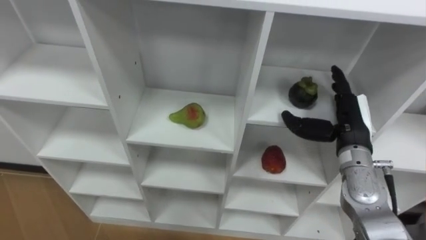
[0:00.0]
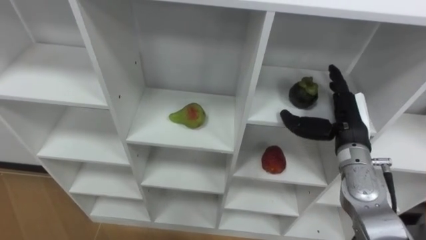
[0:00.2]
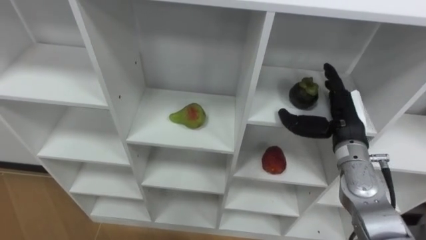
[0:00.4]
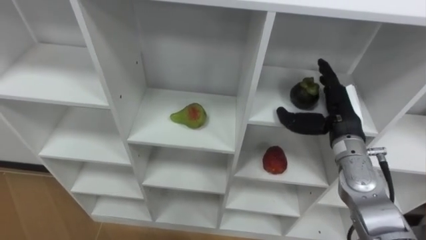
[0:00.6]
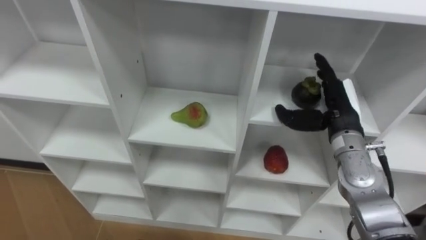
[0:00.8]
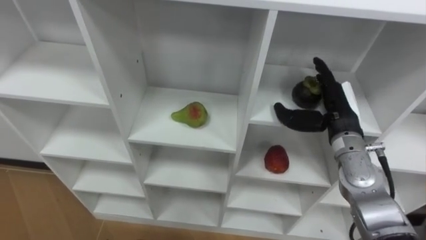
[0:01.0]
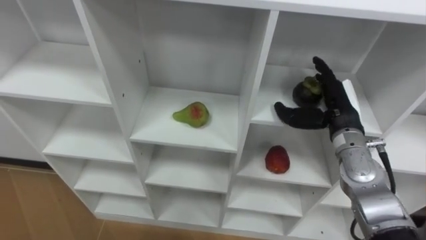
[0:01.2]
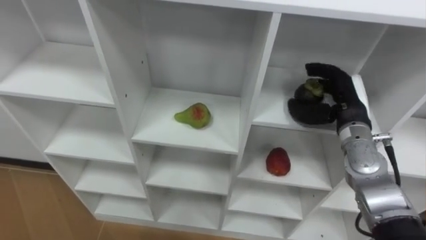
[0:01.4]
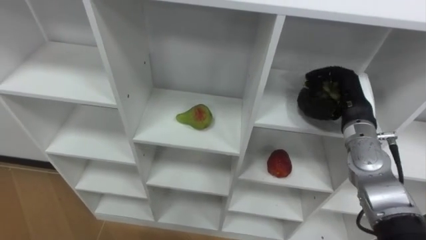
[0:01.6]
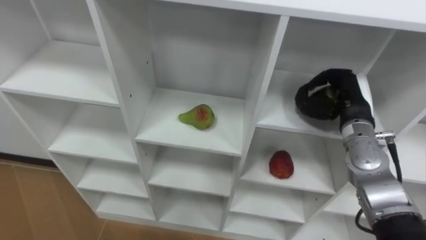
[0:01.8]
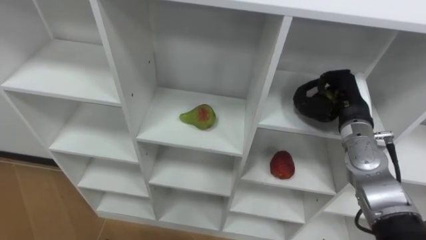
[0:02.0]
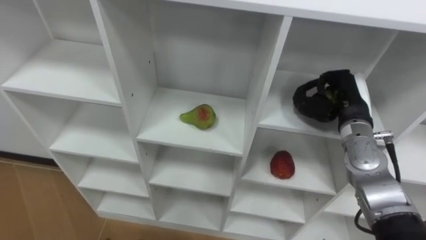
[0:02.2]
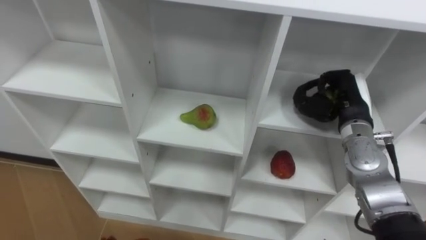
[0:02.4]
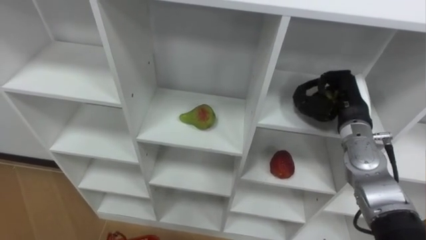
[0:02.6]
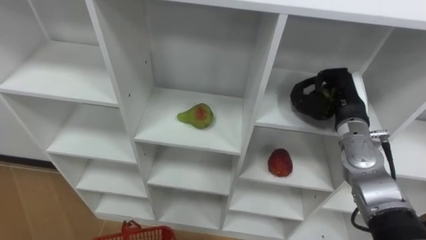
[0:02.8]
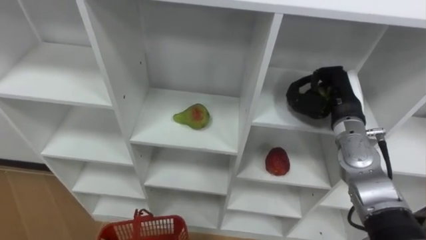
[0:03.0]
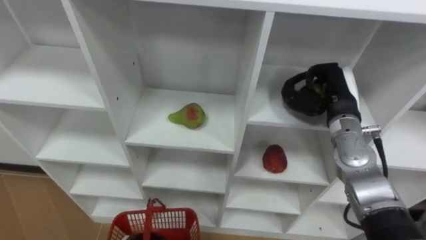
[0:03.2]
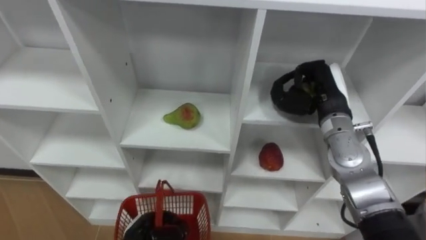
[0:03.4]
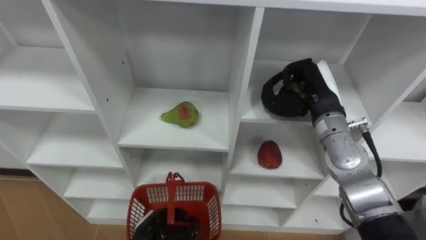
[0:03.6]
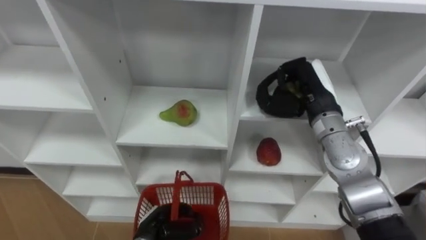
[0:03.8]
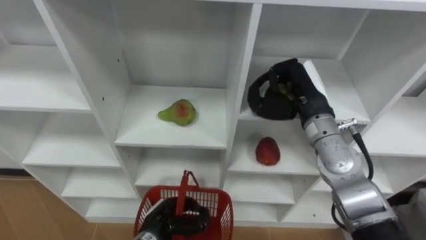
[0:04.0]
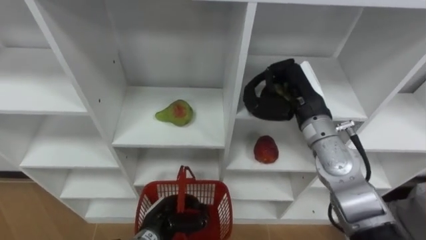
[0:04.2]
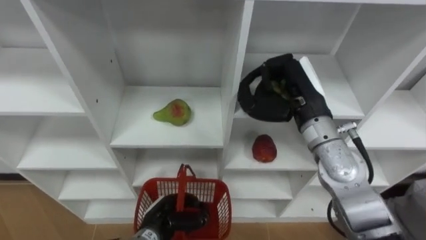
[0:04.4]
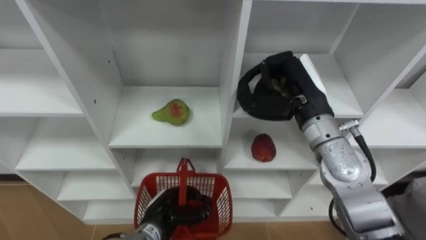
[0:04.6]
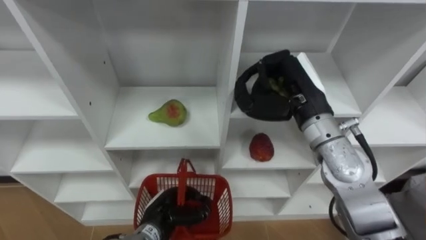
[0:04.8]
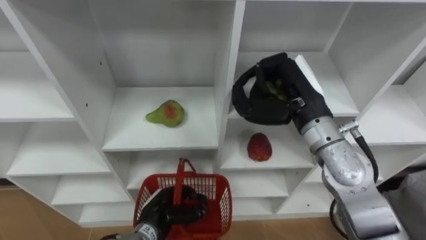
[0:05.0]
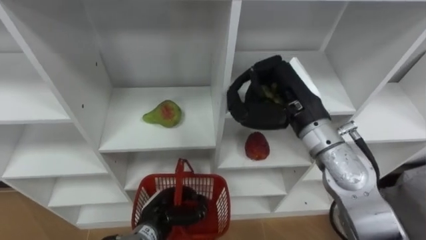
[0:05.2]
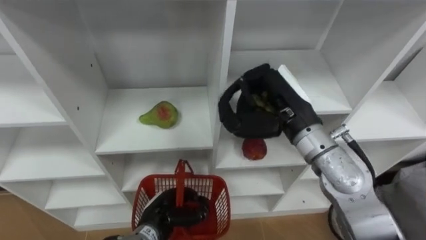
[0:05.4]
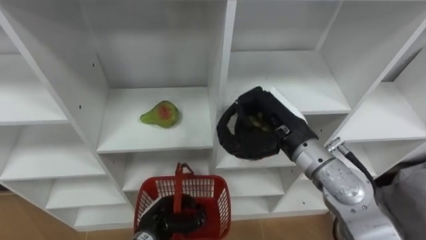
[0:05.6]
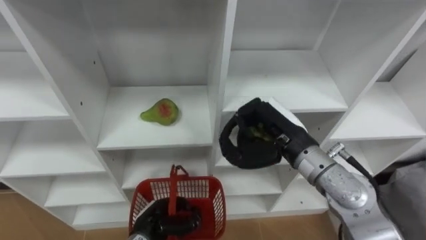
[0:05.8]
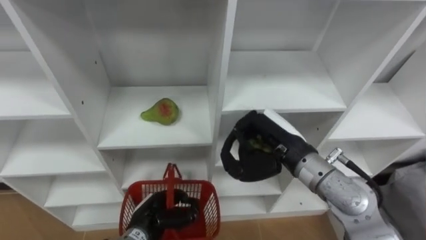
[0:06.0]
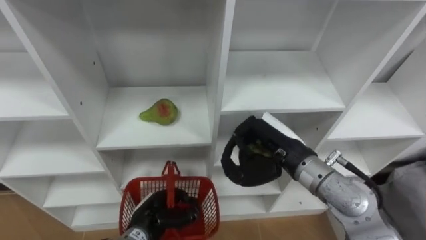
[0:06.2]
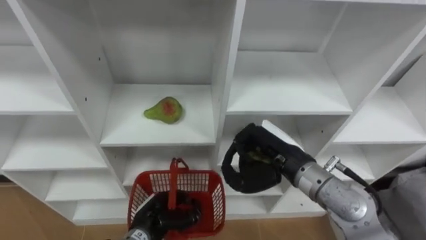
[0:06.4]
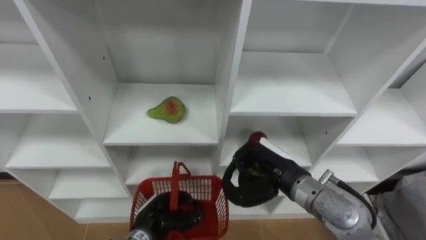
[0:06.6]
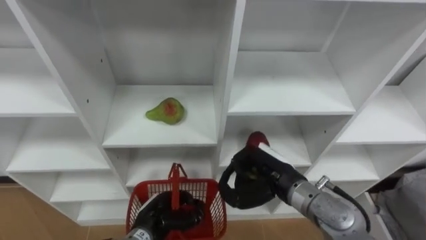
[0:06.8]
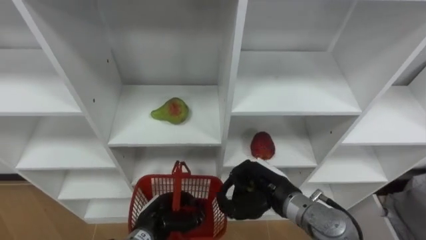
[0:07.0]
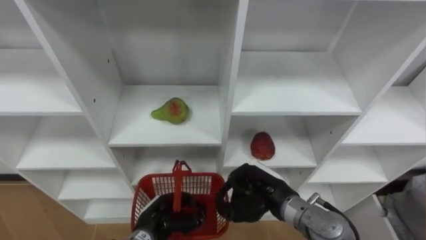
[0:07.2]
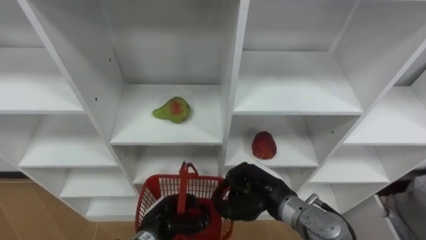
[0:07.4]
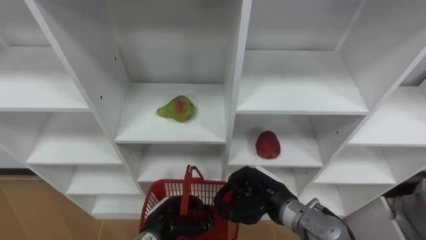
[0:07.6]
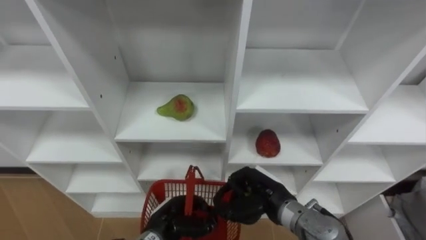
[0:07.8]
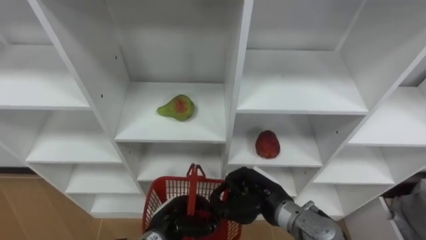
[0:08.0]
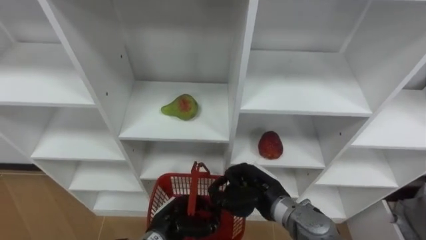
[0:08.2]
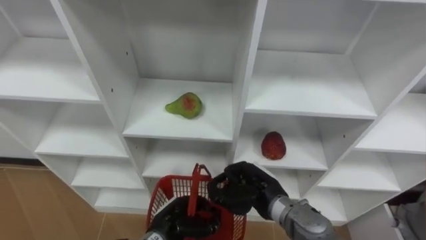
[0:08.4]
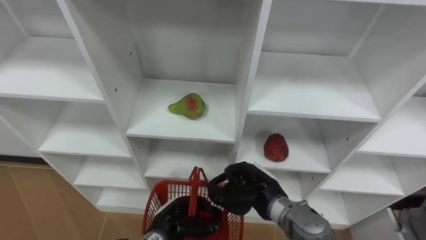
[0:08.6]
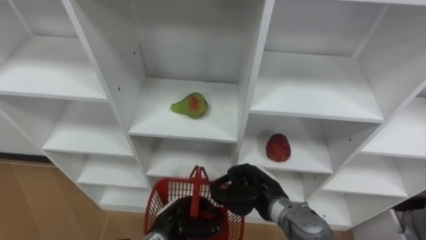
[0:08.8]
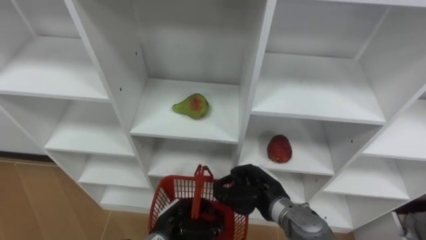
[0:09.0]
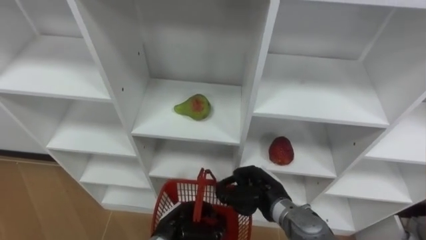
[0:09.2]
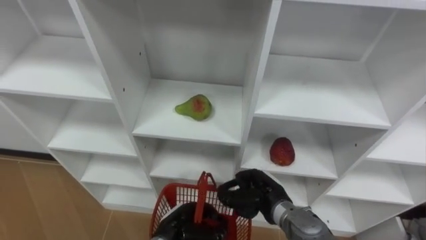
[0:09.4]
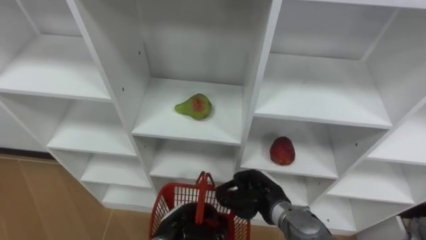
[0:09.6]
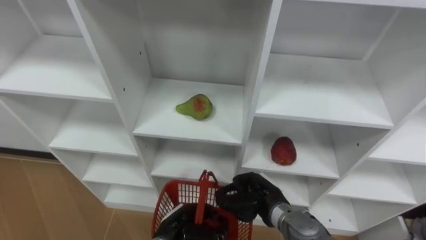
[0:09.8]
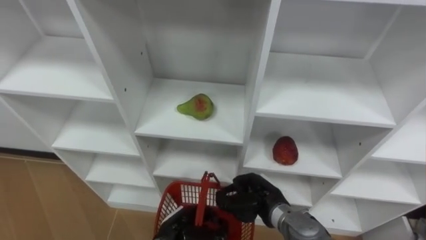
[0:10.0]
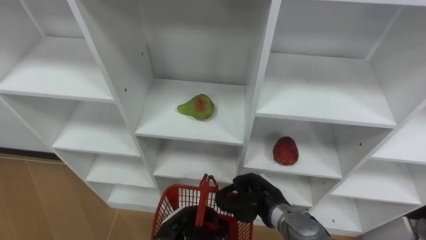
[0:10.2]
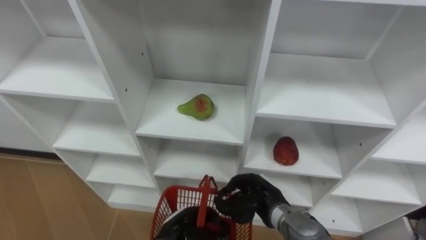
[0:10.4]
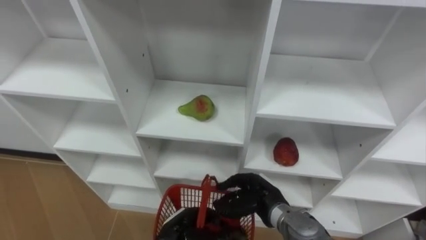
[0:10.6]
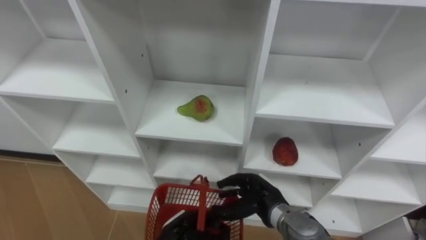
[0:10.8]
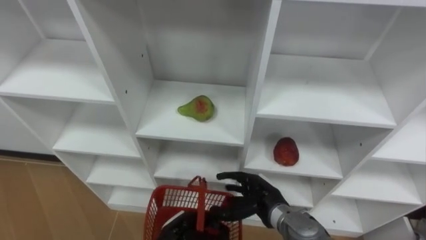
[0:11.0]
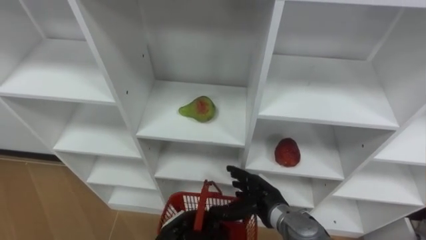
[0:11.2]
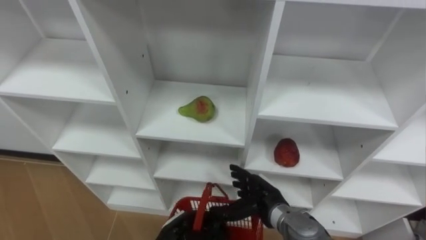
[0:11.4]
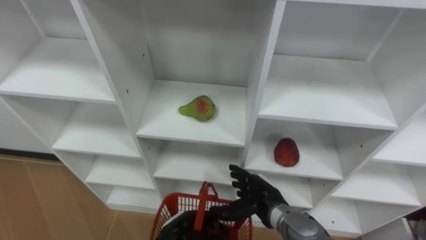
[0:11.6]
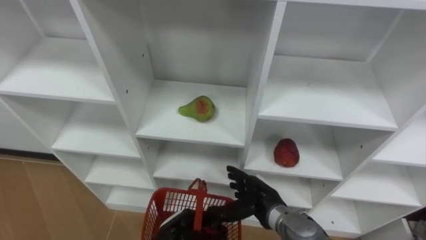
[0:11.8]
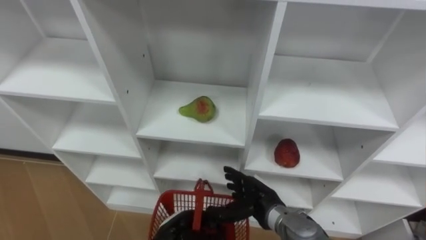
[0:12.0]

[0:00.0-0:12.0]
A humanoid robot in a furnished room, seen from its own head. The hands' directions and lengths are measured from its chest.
Task of the whole recording: Hold the basket and collect the fruits from 3 different cells of the closet into it.
0:00.0 to 0:01.6: The right hand closes.
0:03.0 to 0:04.4: The right hand shifts about 10 cm to the left and upward.
0:04.4 to 0:06.0: The right hand shifts some 5 cm backward.
0:06.0 to 0:07.6: The right hand shifts roughly 10 cm downward.
0:10.4 to 0:12.0: The right hand opens up.

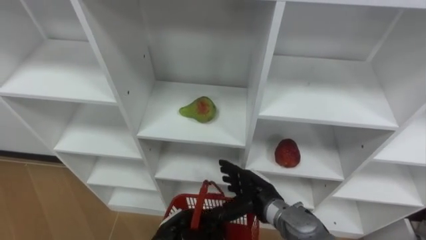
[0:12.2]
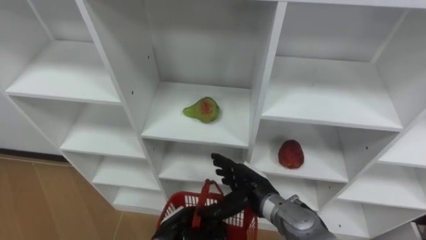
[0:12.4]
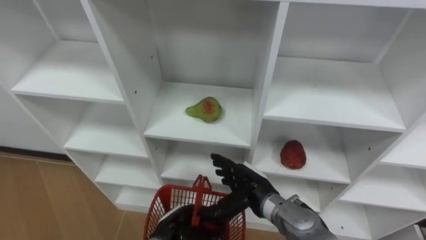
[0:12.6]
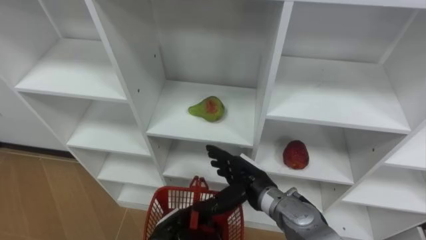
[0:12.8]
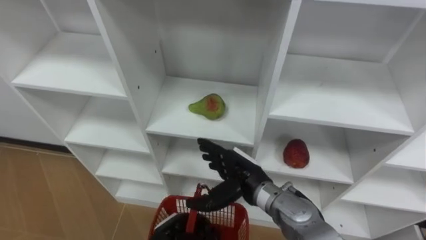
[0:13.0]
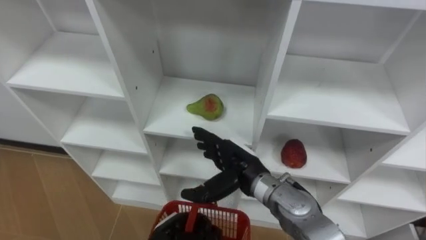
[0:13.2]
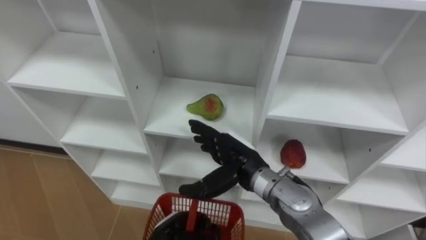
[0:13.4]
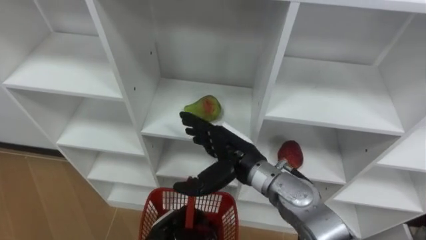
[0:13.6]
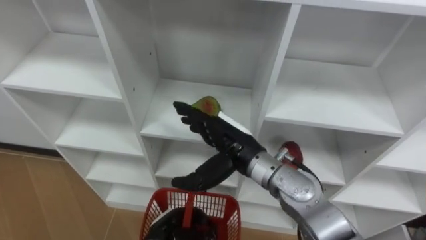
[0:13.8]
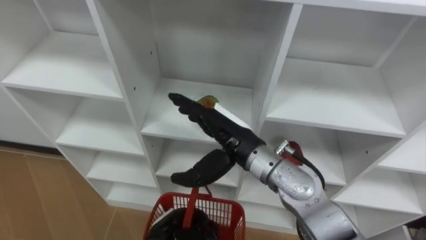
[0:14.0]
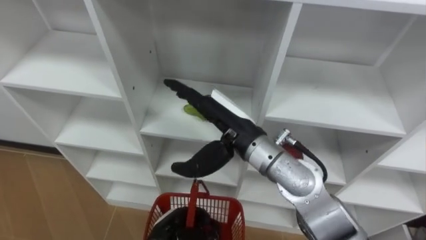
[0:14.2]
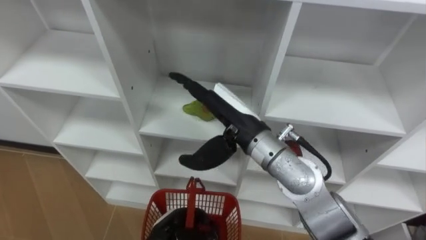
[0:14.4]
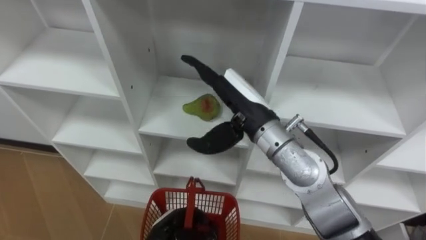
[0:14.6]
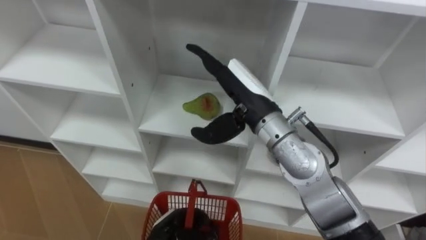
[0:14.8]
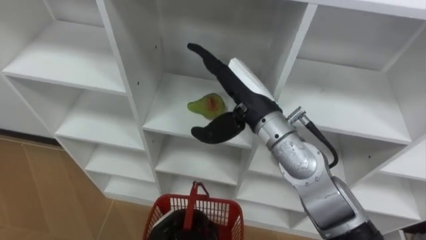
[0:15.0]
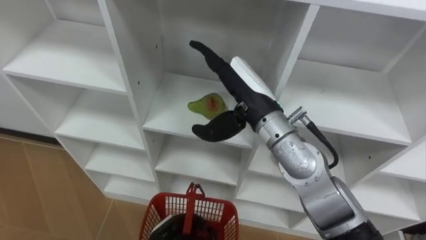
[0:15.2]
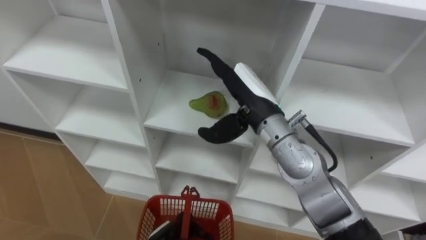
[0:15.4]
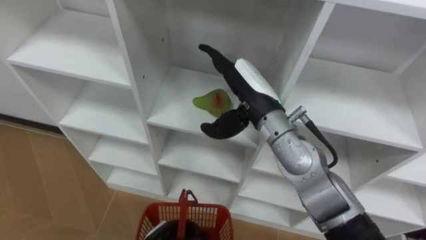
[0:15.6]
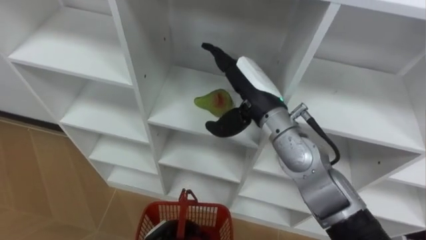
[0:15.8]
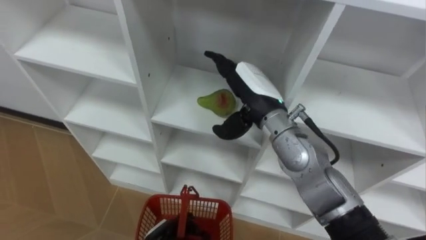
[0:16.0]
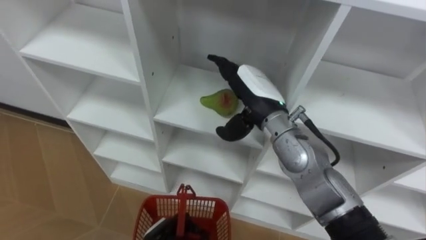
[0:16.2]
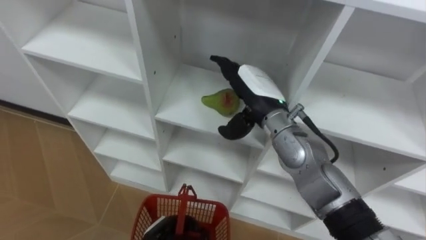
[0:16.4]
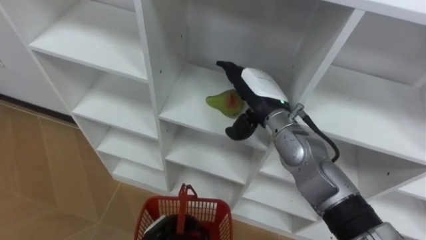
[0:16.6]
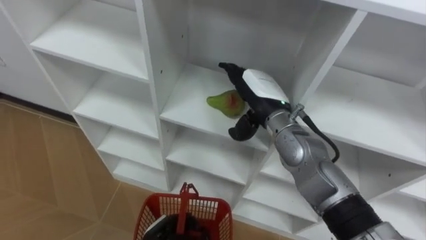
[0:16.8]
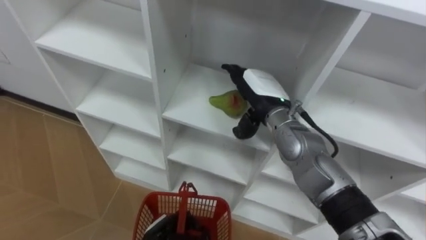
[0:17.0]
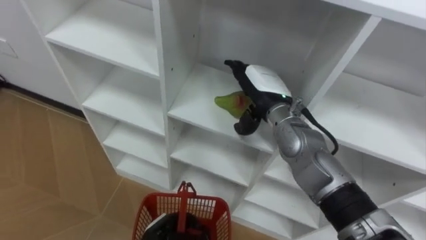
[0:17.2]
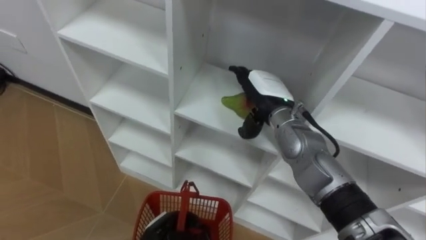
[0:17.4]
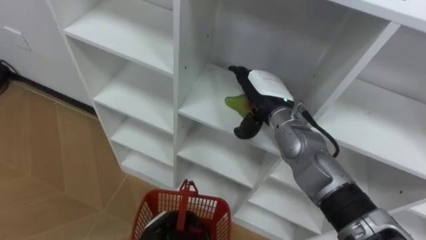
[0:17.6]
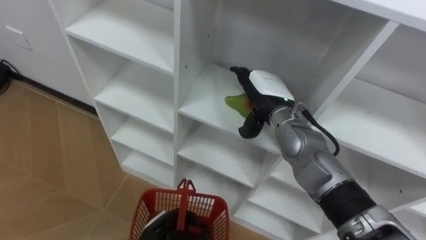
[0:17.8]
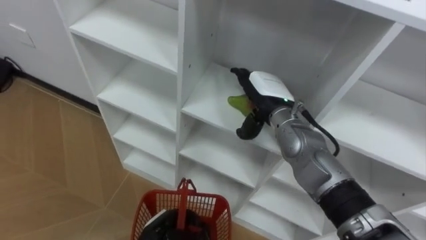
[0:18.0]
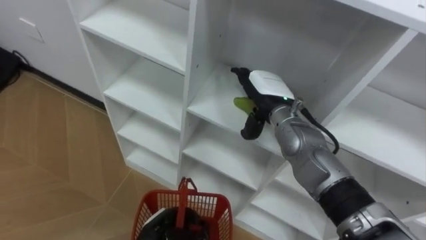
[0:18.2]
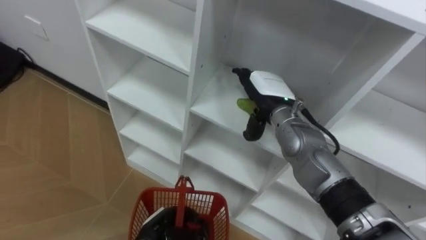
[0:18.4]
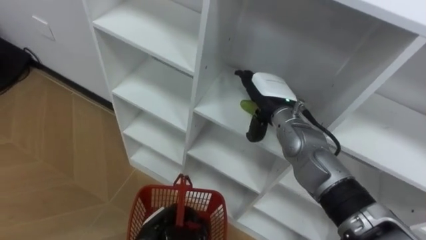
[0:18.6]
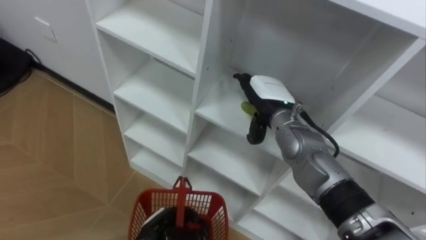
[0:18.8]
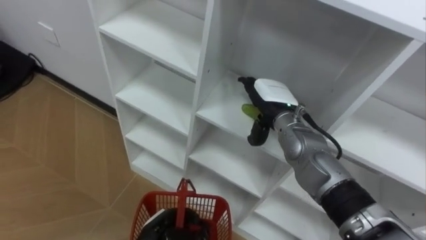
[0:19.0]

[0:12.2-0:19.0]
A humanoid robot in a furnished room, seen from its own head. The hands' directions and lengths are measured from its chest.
Task of the whole recording: Hold the basket and collect the fruits from 3 different cells of the closet into it.
0:12.2 to 0:13.6: The right hand is displaced upward by about 10 cm.
0:13.6 to 0:15.0: The right hand shifts roughly 10 cm upward.
0:16.2 to 0:17.6: The right hand moves about 5 cm.
